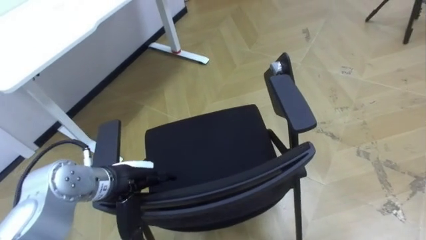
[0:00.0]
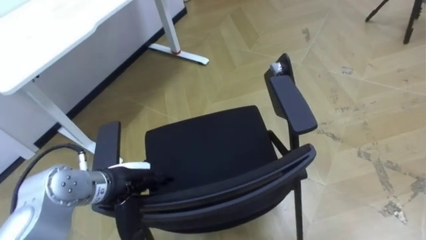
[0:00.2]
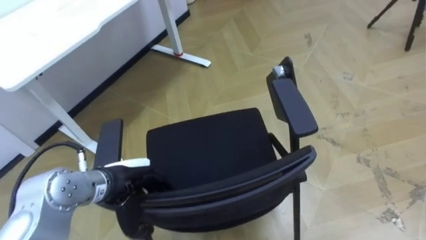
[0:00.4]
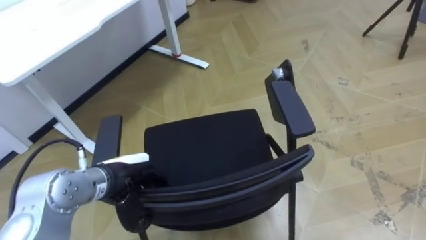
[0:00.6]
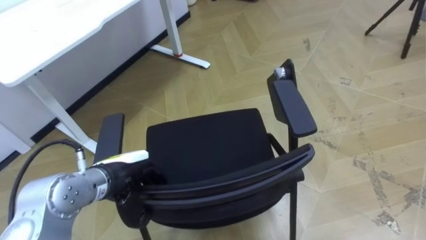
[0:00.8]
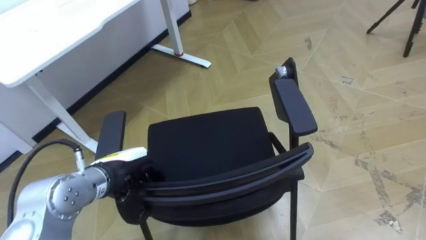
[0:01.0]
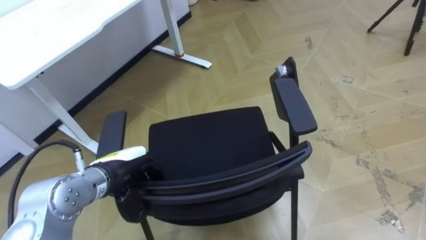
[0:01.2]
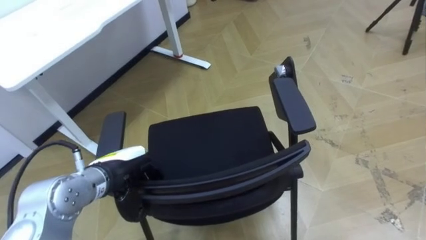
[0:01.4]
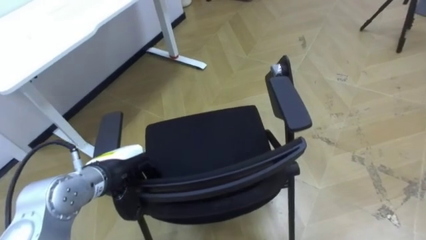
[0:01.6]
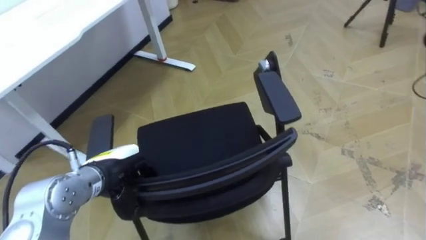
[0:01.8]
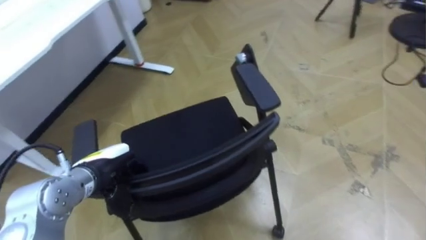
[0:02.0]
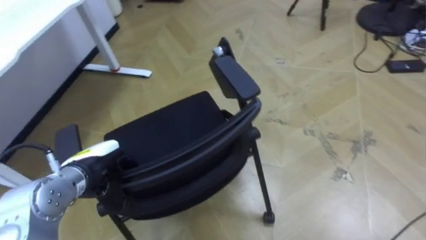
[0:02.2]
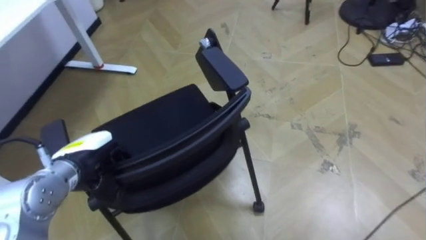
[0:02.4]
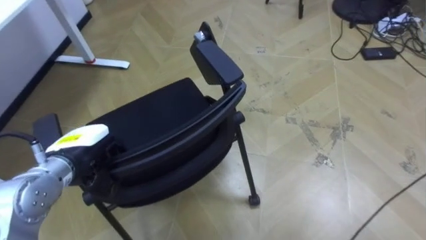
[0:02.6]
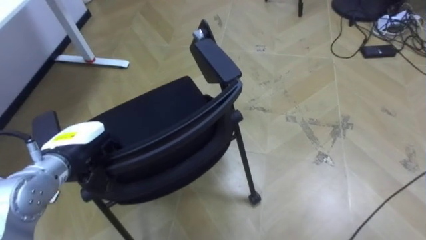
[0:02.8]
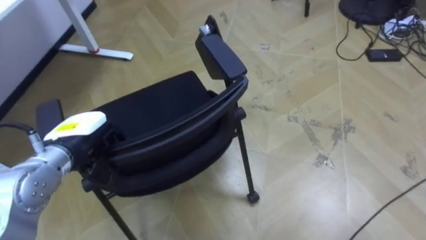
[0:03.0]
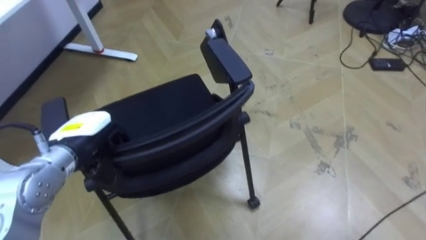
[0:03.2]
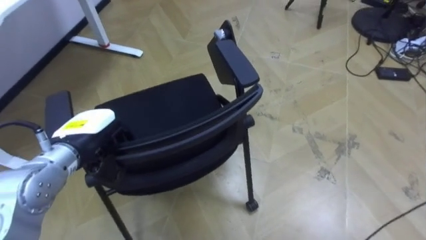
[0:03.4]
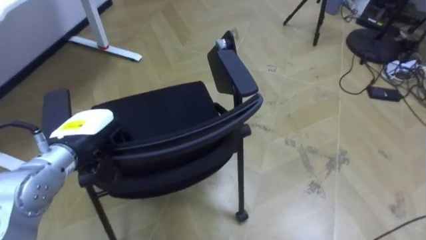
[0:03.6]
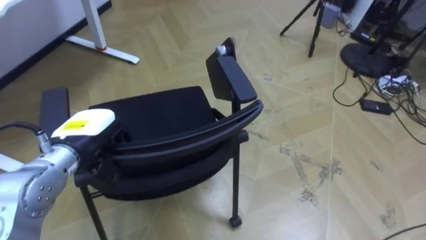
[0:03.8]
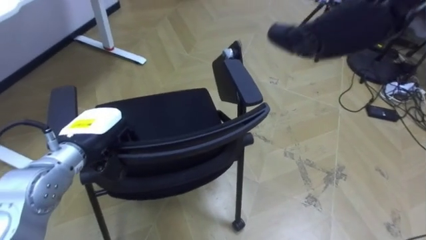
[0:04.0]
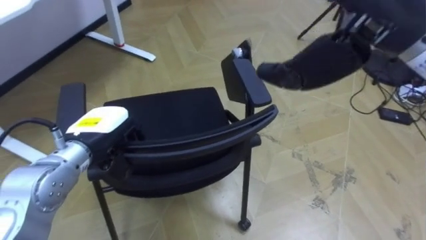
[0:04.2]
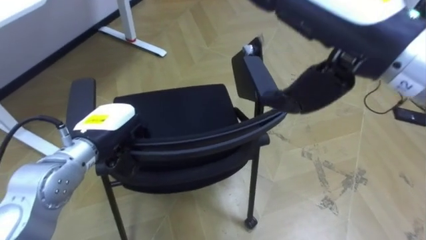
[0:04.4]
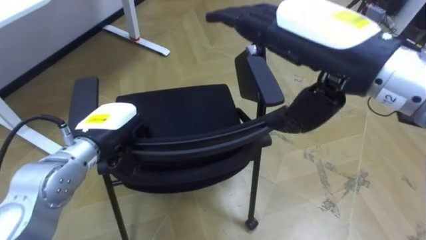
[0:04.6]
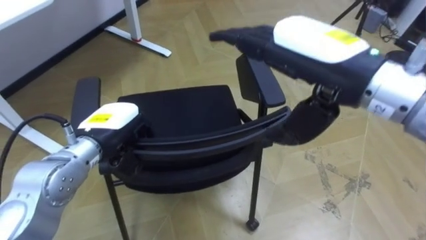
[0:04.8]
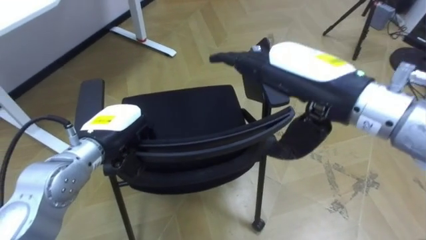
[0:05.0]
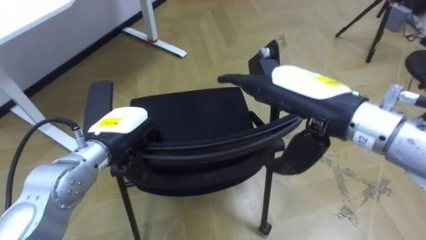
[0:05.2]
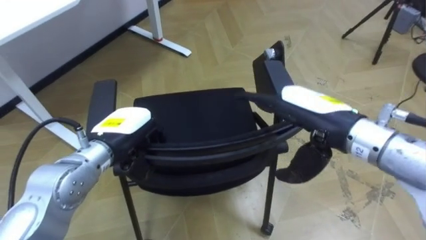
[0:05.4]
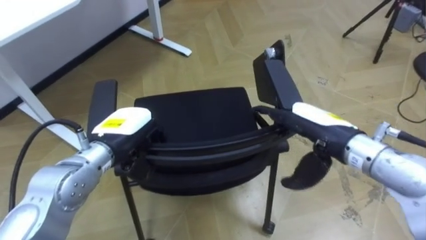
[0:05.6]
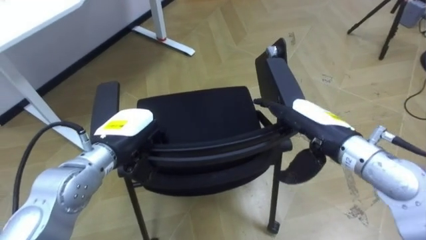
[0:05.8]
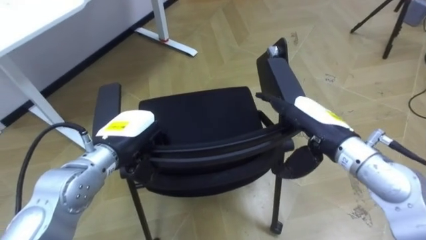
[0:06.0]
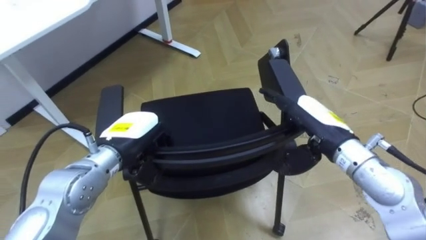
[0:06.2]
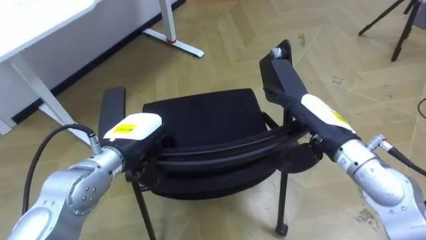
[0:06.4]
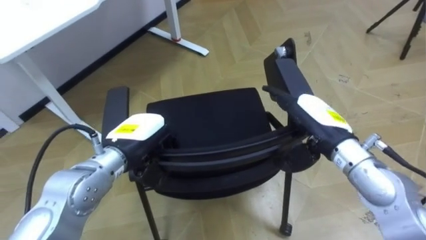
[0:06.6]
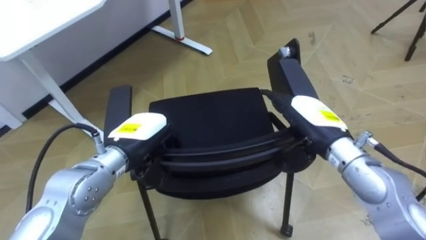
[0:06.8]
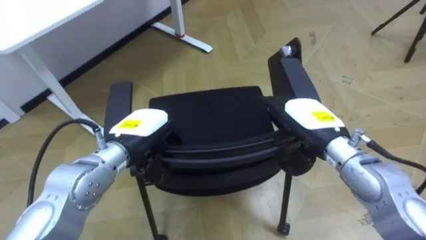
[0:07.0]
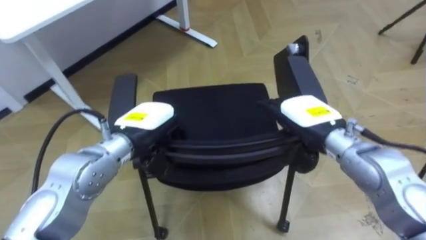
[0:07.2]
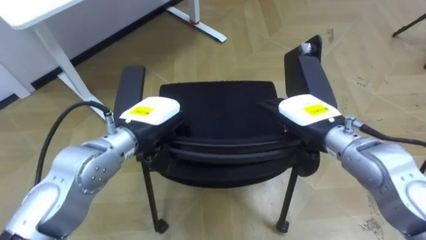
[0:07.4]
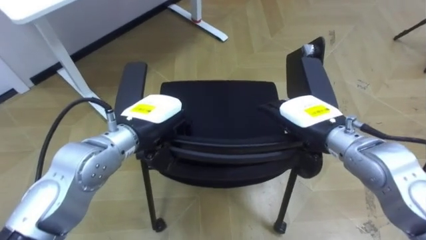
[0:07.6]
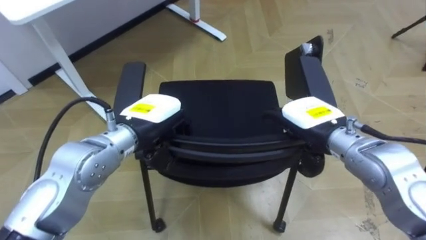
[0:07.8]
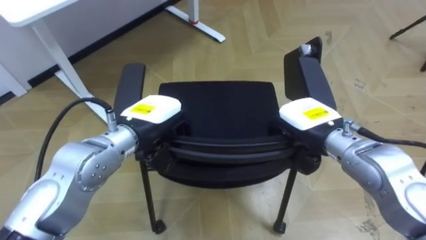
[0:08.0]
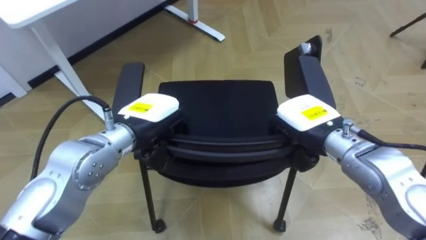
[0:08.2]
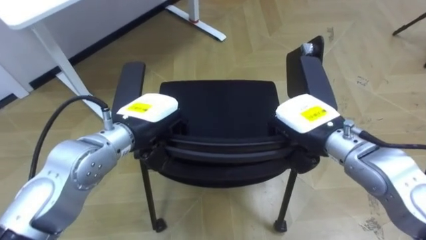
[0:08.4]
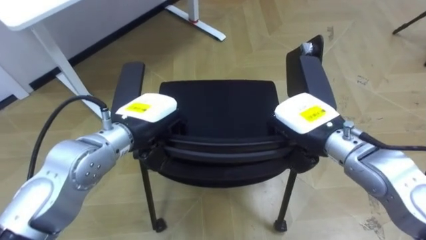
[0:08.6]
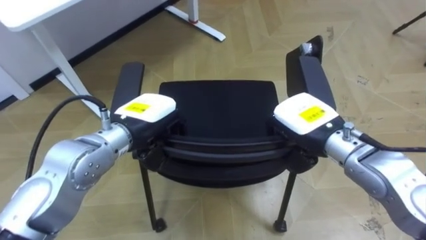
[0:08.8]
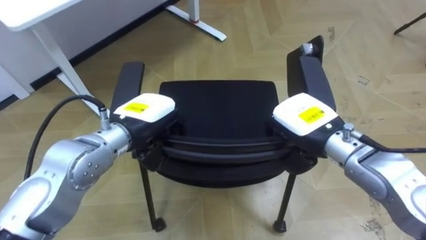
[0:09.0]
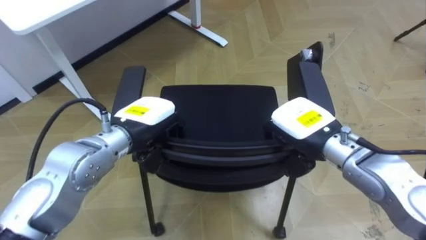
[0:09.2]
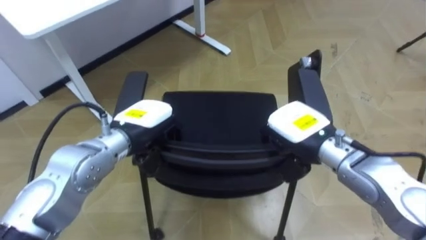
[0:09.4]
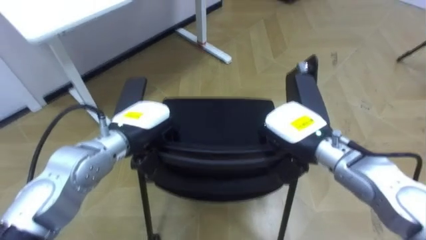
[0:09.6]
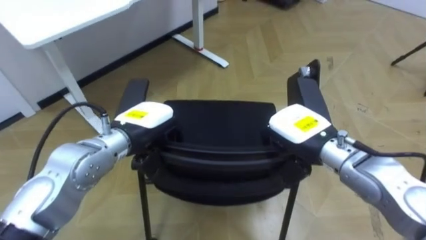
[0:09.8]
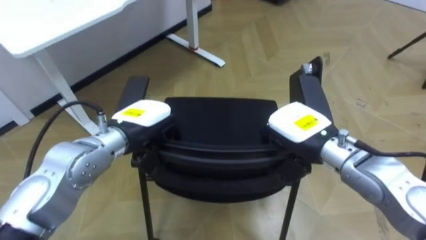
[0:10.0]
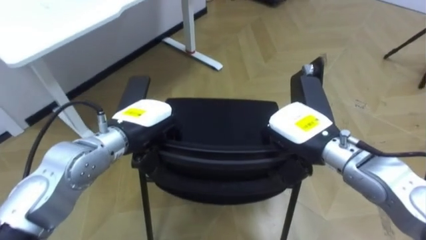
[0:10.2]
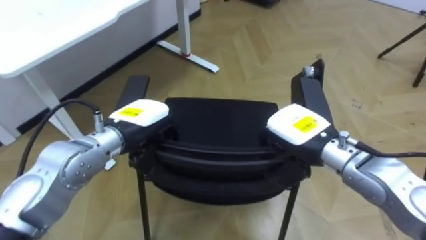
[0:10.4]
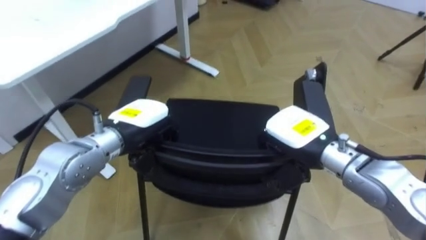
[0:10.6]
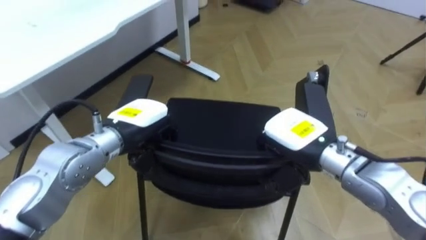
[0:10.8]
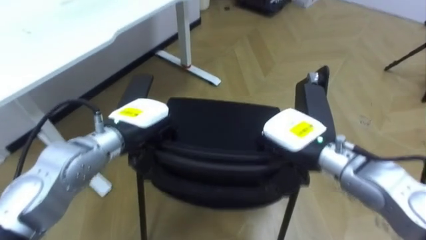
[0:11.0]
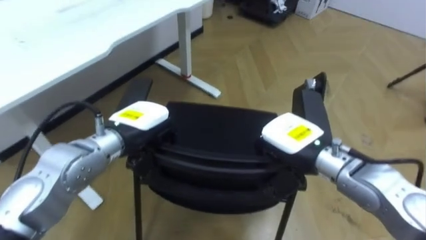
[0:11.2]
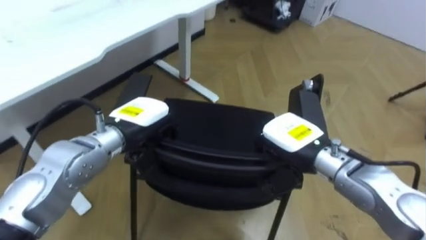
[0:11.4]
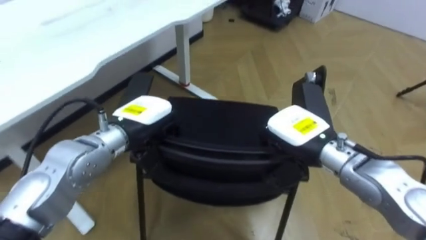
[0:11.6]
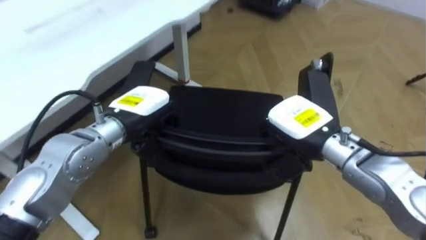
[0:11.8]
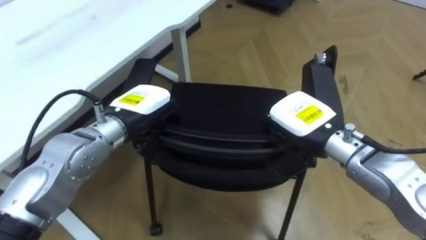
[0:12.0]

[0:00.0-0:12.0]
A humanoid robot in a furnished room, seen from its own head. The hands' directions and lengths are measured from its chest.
Task of the whole recording: Push the chair under the table.
0:00.0 to 0:01.6: The left hand closes up.
0:01.6 to 0:03.0: The left hand is displaced to the left by approximately 5 cm.
0:04.4 to 0:06.0: The right hand heads downward, covering about 20 cm.
0:06.0 to 0:07.6: The left hand shifts by roughly 5 cm.
0:07.6 to 0:09.0: The right hand closes.

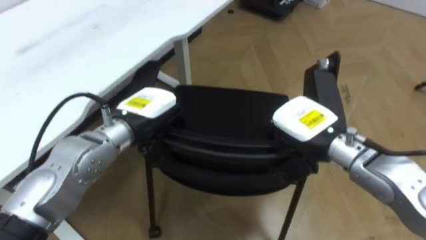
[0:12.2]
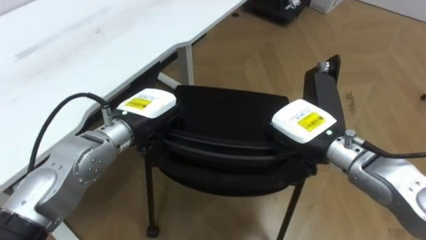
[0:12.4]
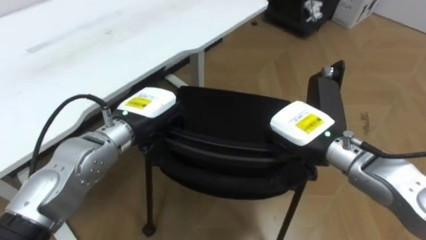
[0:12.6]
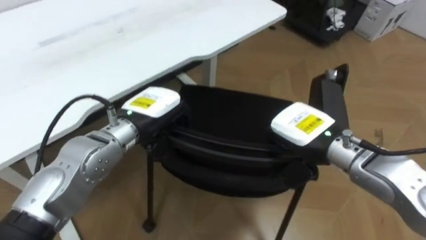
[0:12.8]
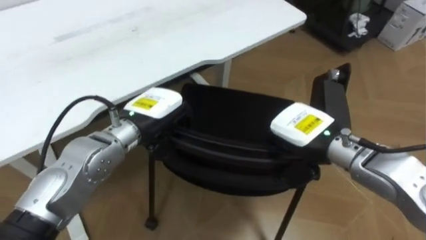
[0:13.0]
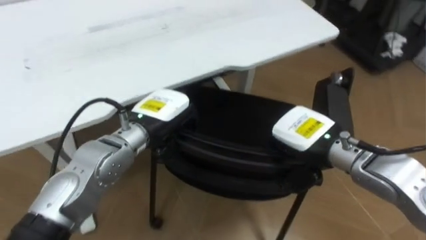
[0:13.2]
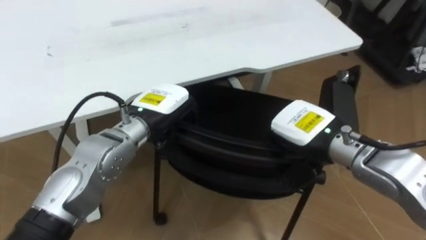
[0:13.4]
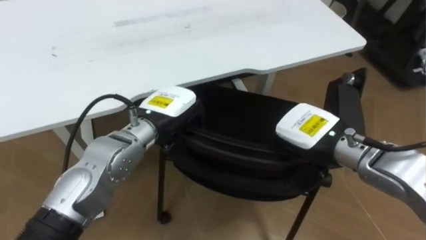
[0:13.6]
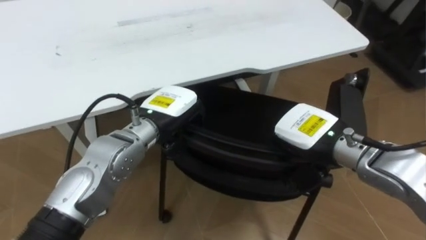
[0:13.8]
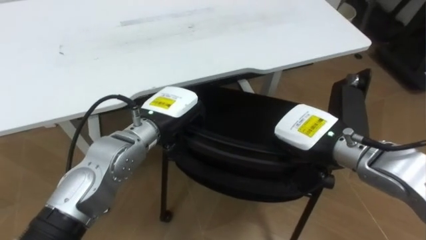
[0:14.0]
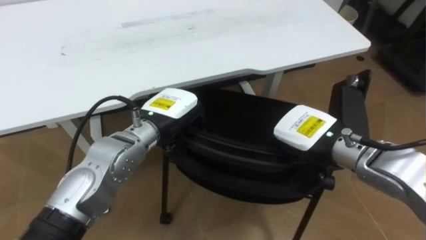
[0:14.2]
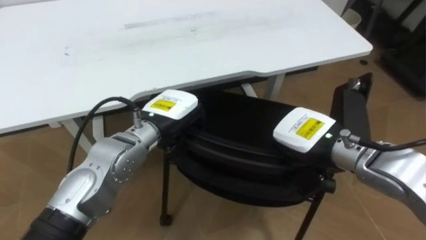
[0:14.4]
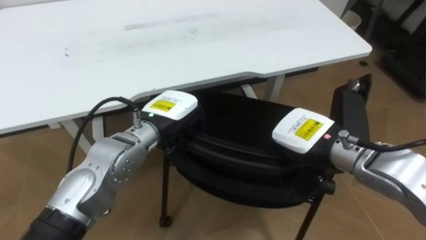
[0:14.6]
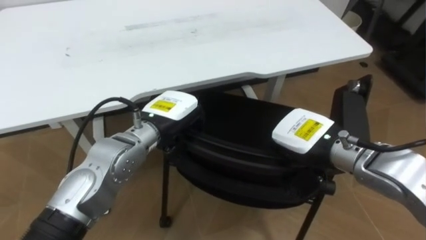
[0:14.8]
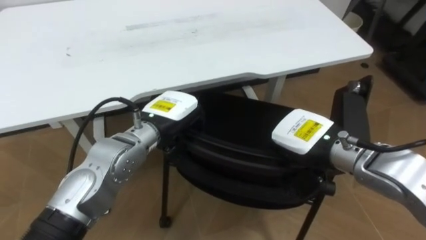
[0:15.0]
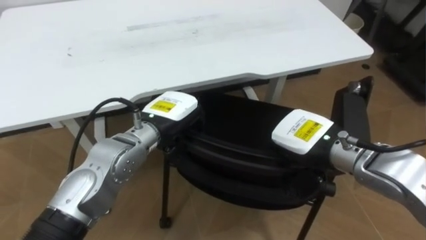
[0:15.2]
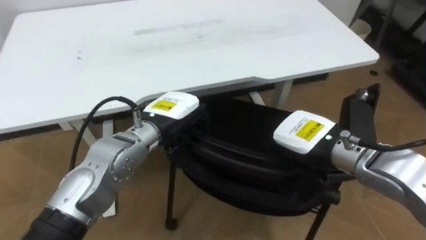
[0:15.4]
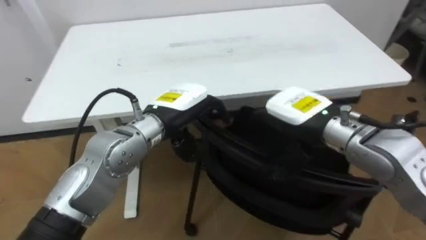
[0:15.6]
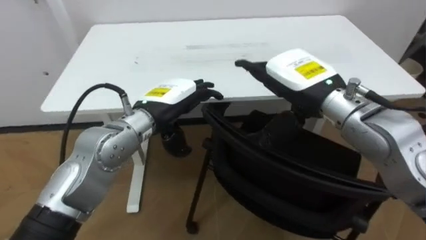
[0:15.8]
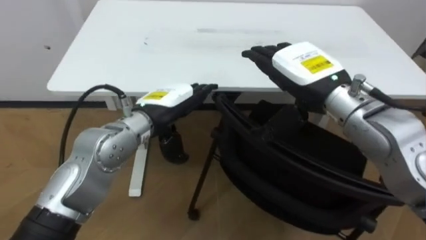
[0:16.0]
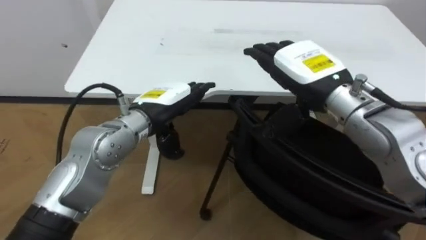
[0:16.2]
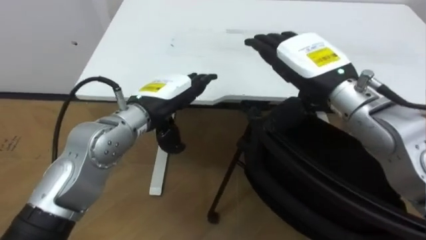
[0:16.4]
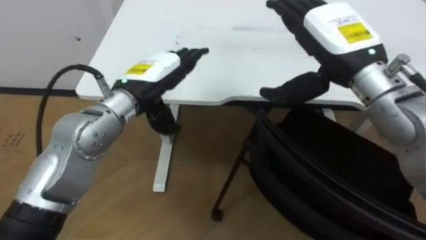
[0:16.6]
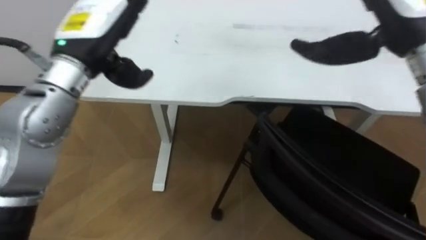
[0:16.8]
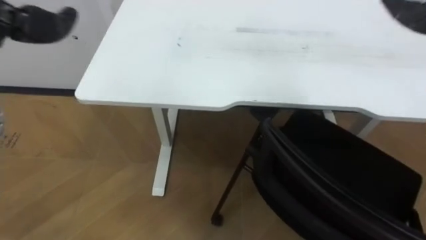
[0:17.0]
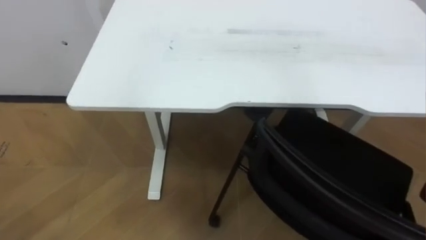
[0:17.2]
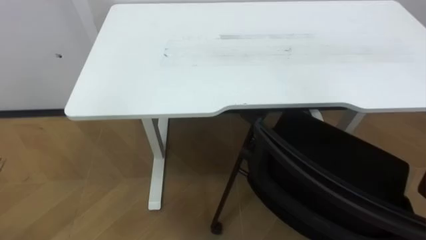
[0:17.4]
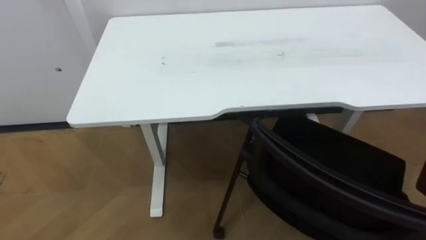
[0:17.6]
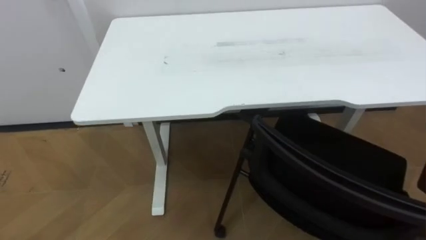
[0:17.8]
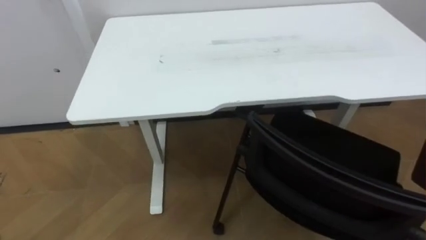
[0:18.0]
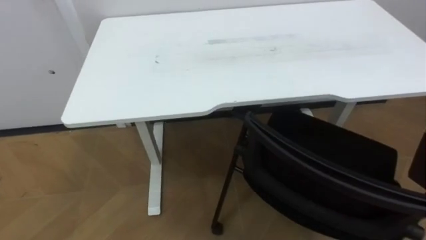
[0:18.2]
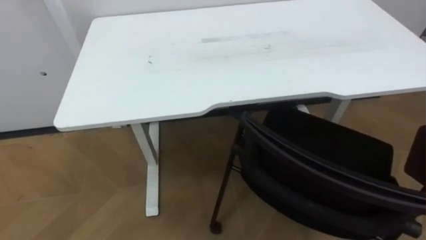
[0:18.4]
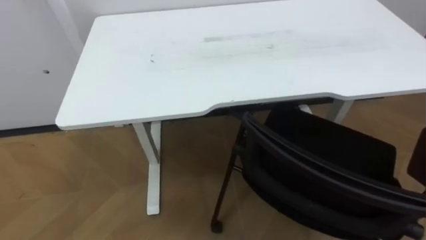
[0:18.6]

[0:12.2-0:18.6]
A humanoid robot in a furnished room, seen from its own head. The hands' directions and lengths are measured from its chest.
Task of the whole recording: Push the chair under the table.
0:12.2 to 0:13.8: The robot turns to its left by some 40 degrees.
